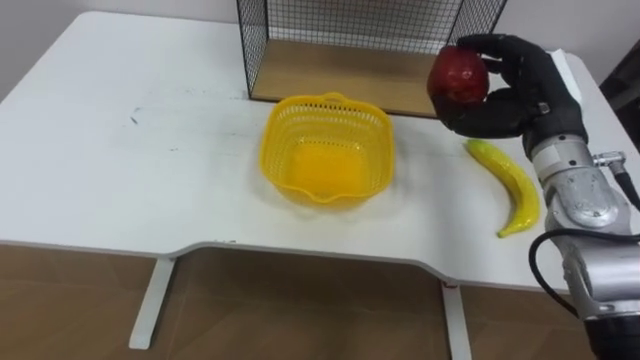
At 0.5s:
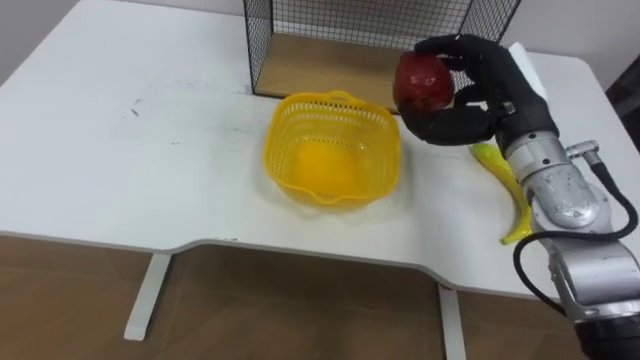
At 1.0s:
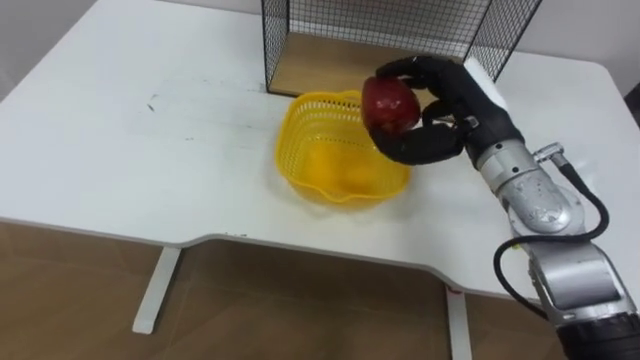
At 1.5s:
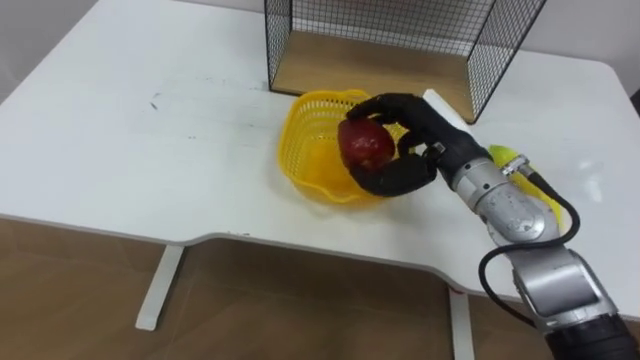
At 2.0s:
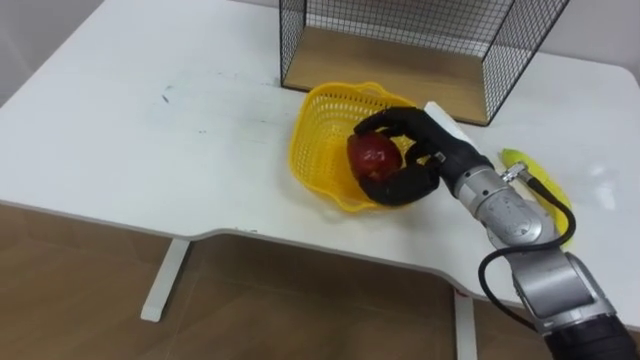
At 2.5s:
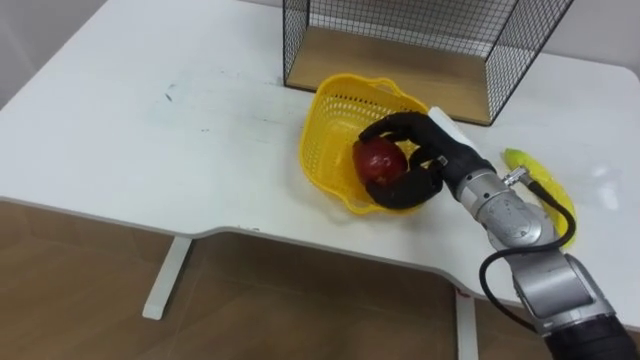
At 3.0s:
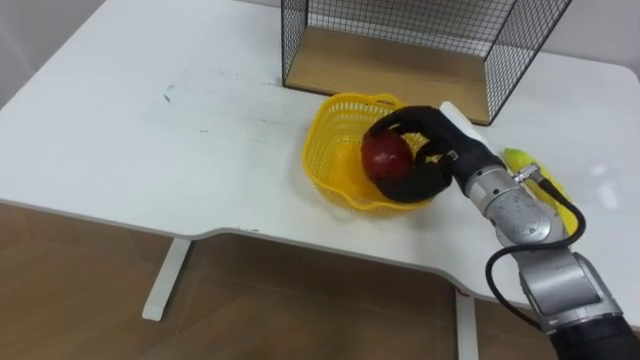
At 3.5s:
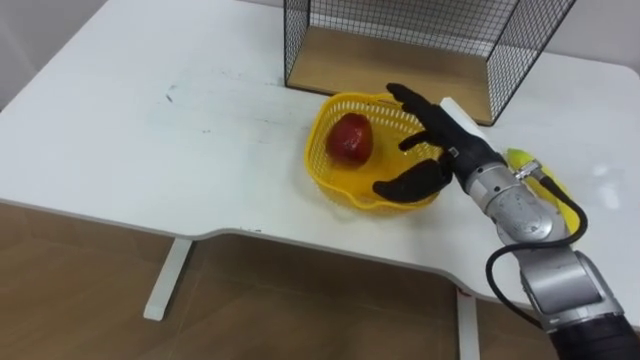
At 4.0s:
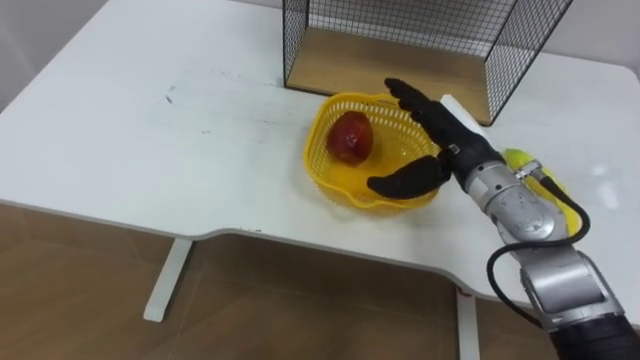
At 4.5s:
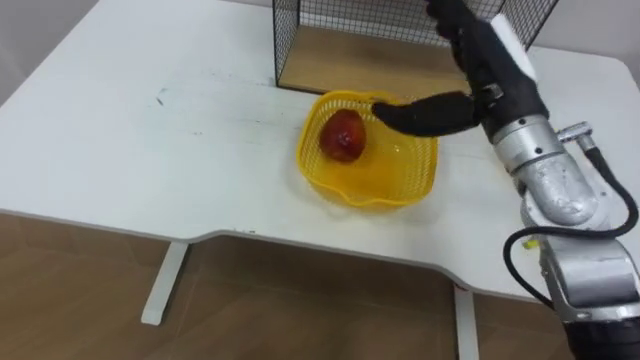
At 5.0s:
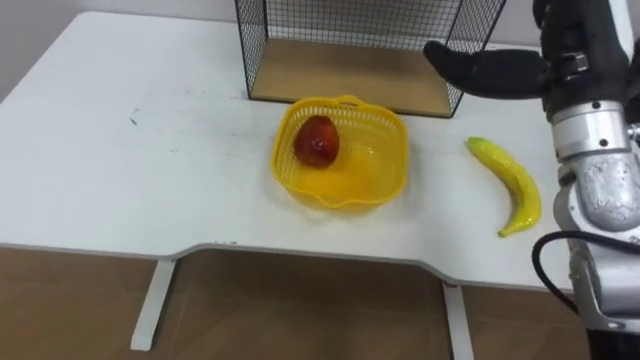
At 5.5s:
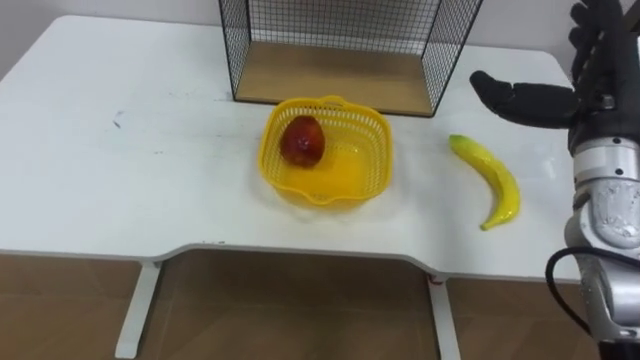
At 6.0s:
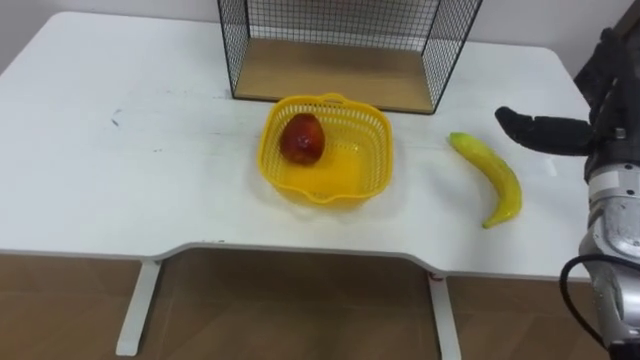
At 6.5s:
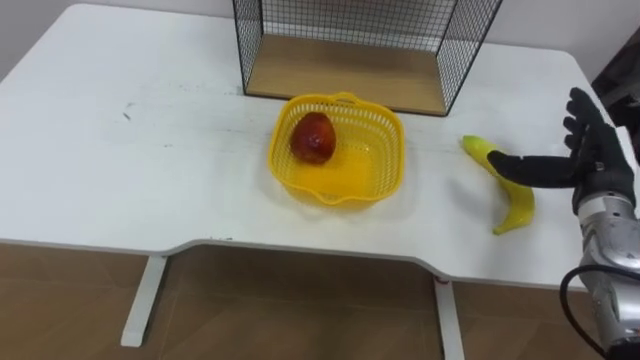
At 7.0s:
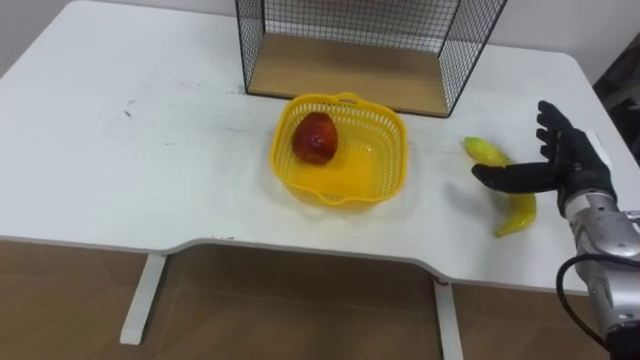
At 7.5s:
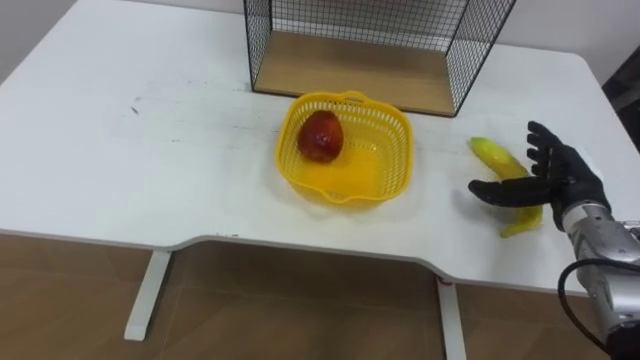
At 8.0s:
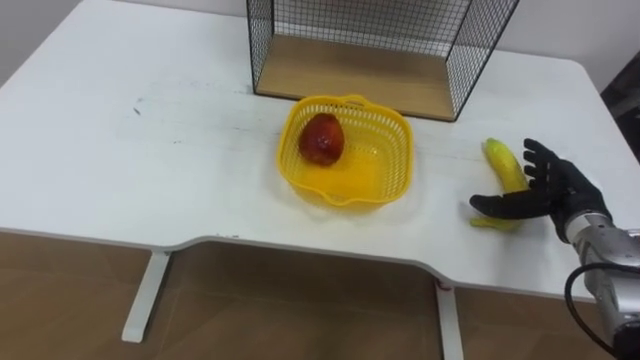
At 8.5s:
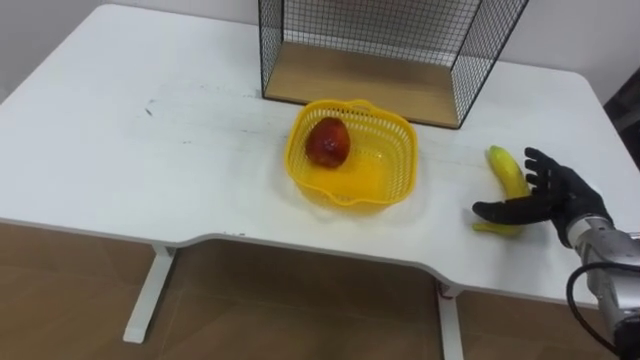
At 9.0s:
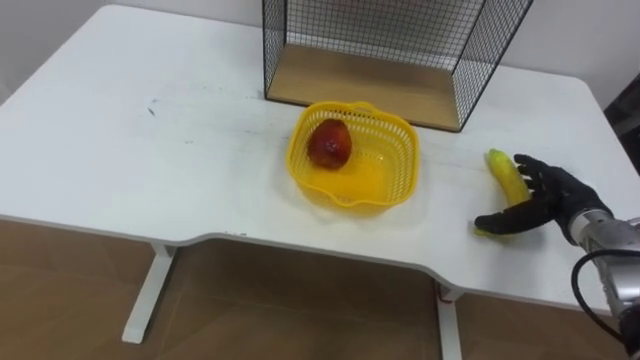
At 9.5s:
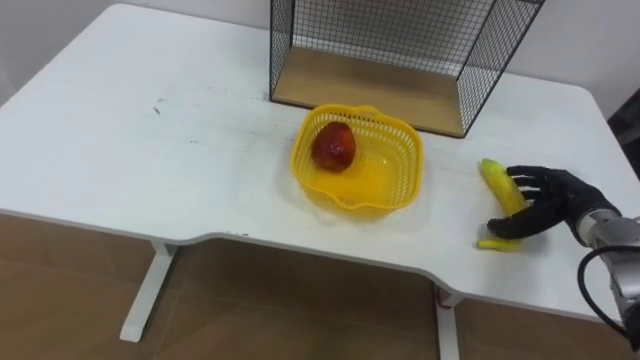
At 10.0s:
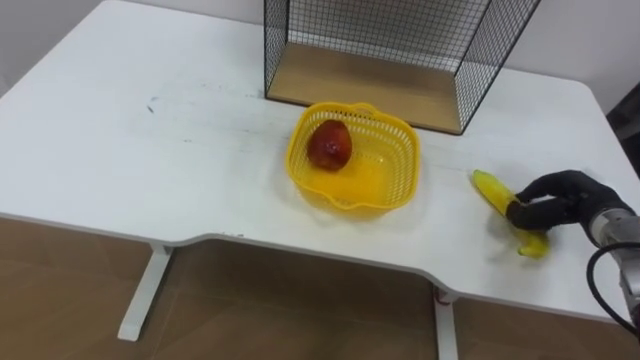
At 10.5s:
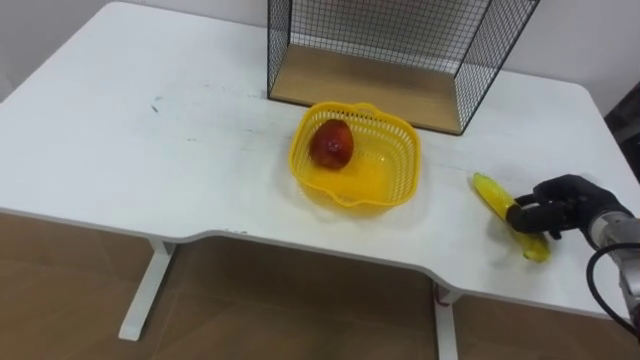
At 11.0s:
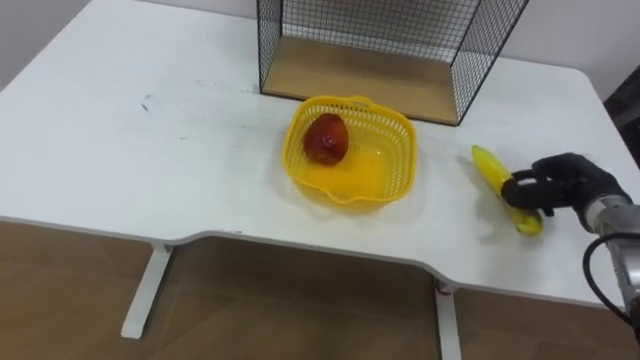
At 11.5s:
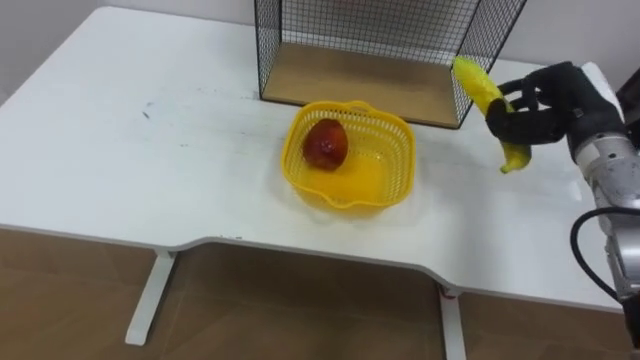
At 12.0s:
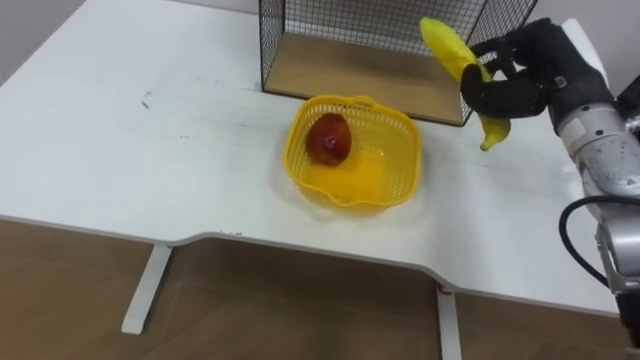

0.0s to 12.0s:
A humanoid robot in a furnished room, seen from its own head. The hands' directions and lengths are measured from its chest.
Task of the whole recording: Put the fruit on the table into the basket, then place the basket on the shelf.
0.0s to 2.0s: The right hand travels to the left and downward by some 10 cm.
2.0s to 4.0s: The right hand opens.
4.0s to 6.0s: The right hand is displaced to the right by roughly 15 cm.
6.0s to 8.0s: The right hand heads downward, covering roughly 10 cm.
8.0s to 10.0s: The right hand closes up.
10.0s to 12.0s: The right hand heads upward and to the left, covering some 20 cm.

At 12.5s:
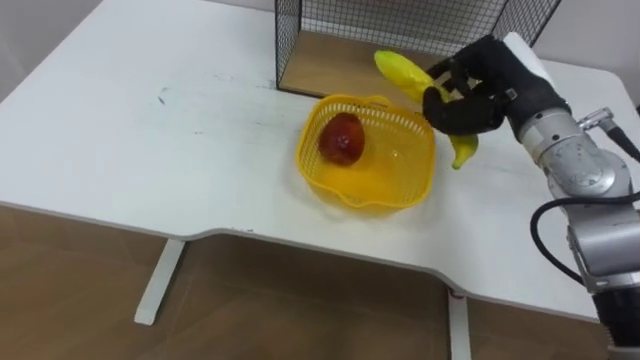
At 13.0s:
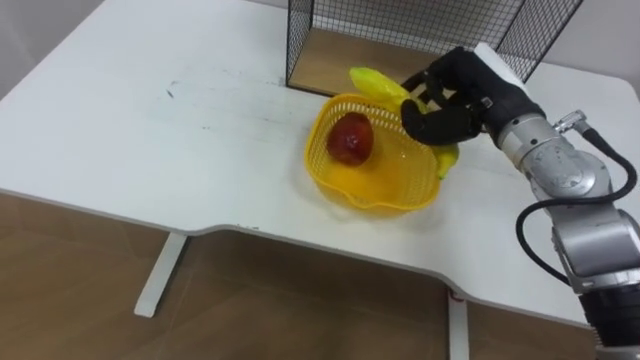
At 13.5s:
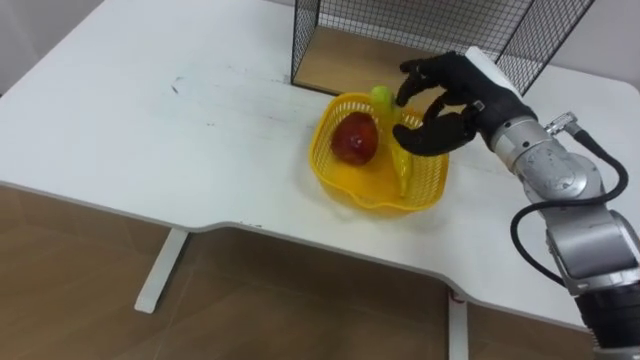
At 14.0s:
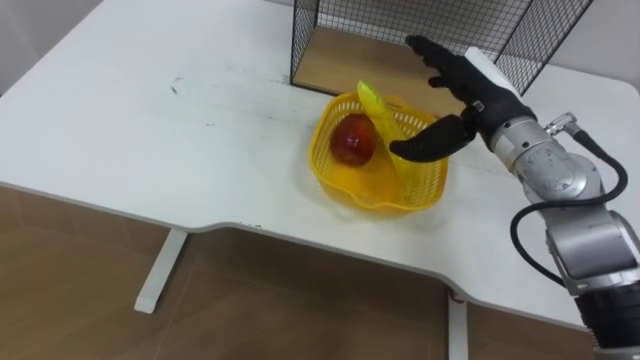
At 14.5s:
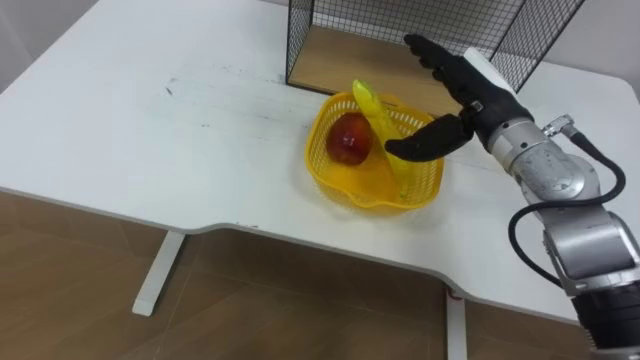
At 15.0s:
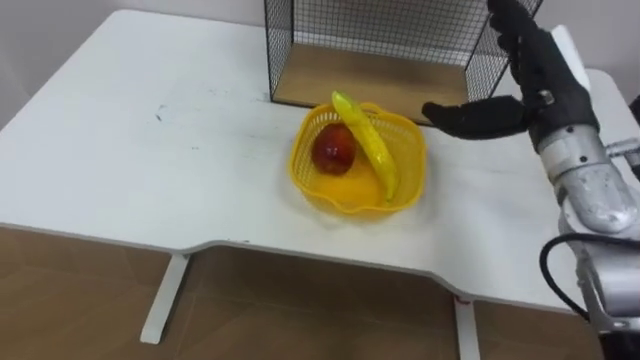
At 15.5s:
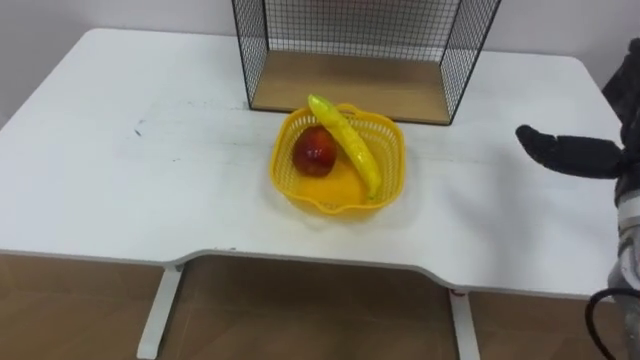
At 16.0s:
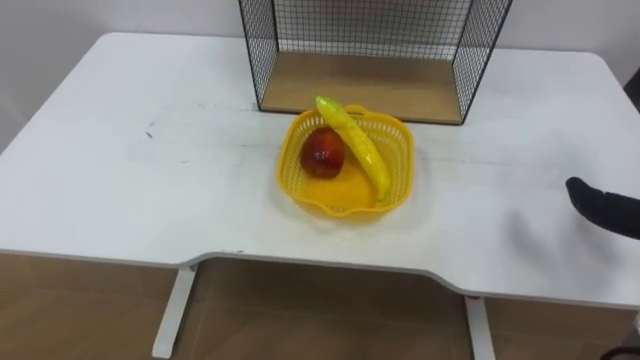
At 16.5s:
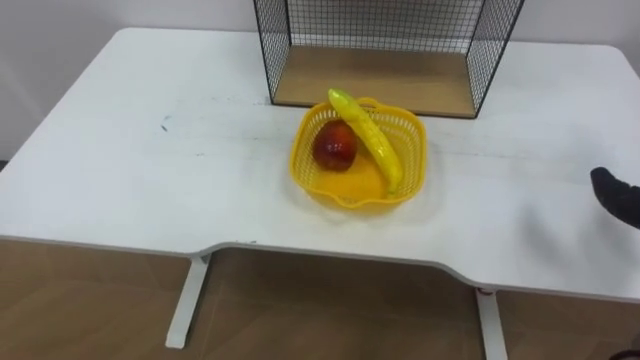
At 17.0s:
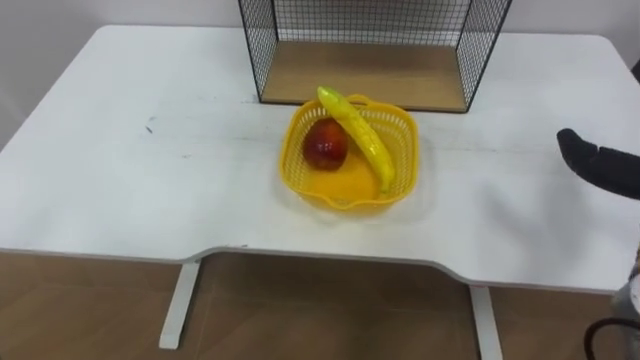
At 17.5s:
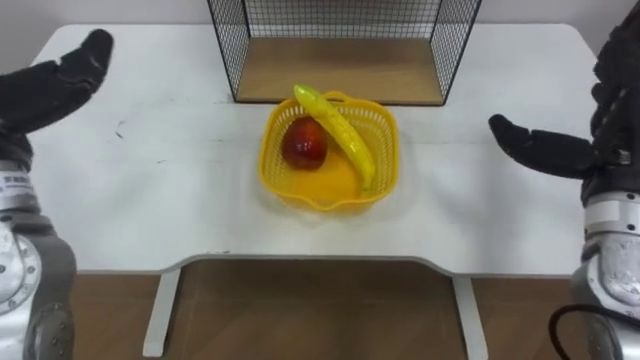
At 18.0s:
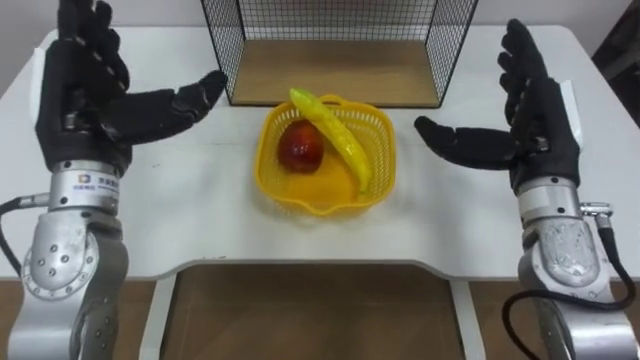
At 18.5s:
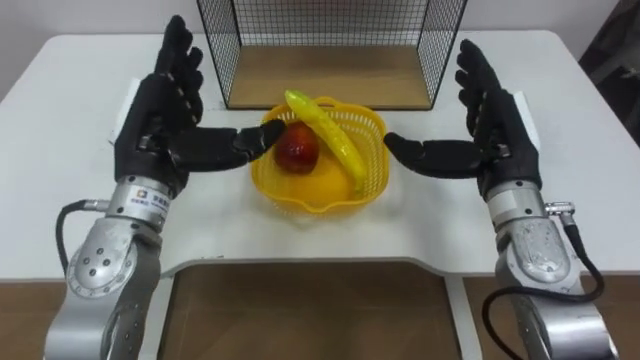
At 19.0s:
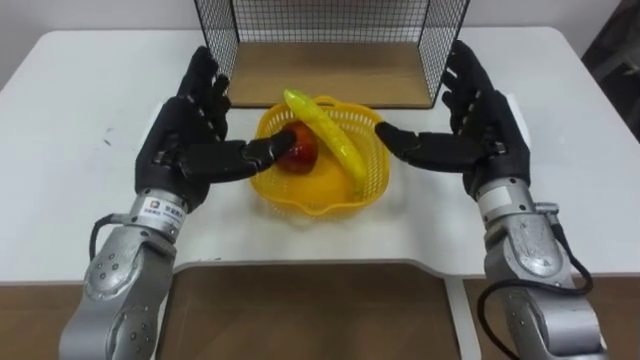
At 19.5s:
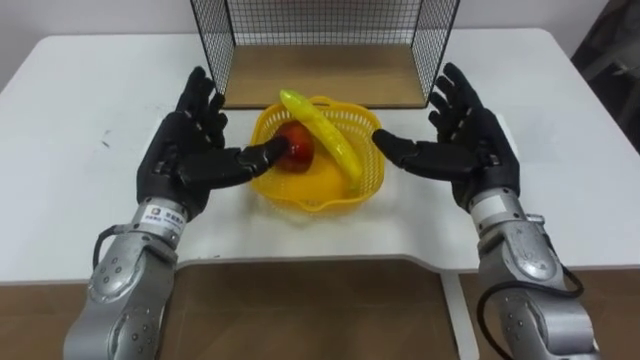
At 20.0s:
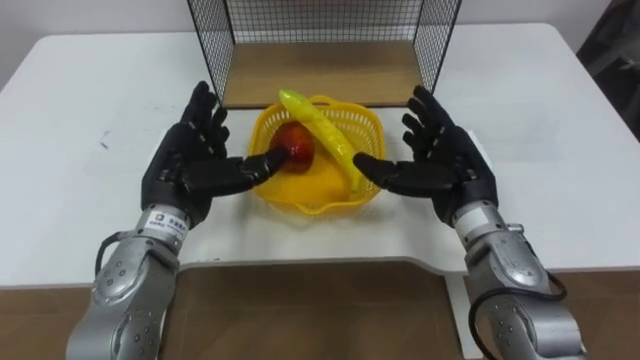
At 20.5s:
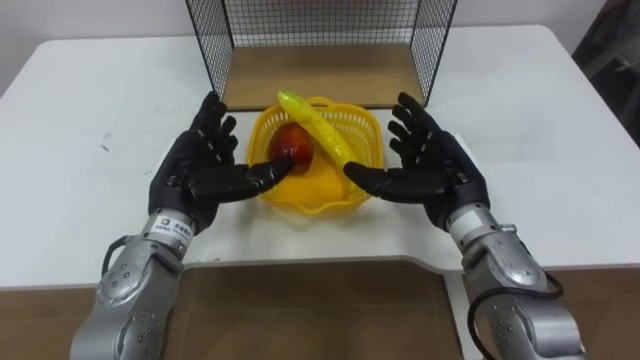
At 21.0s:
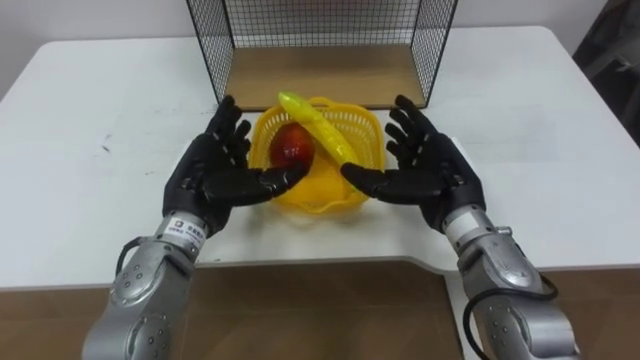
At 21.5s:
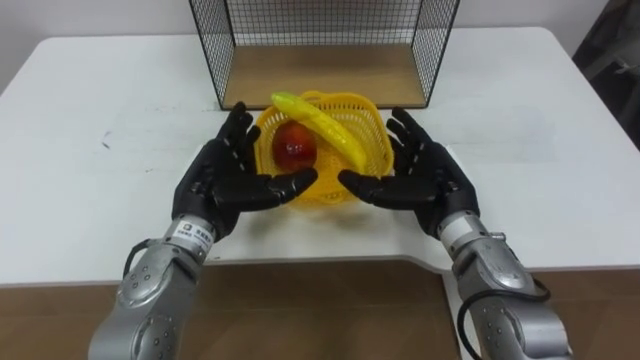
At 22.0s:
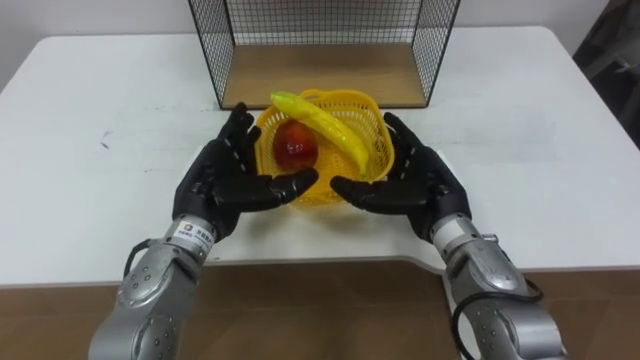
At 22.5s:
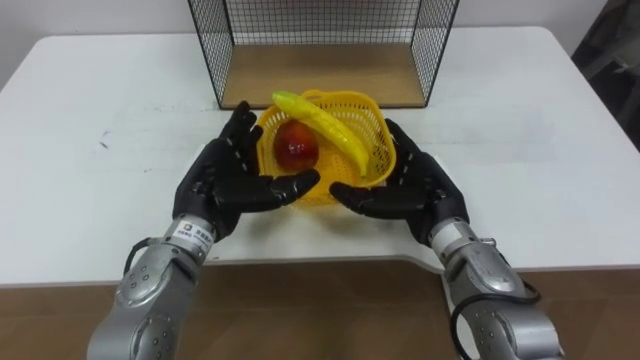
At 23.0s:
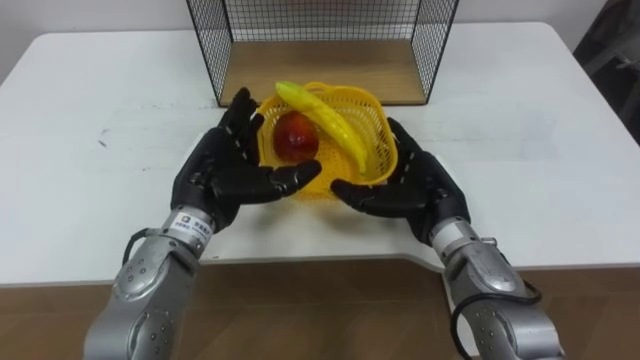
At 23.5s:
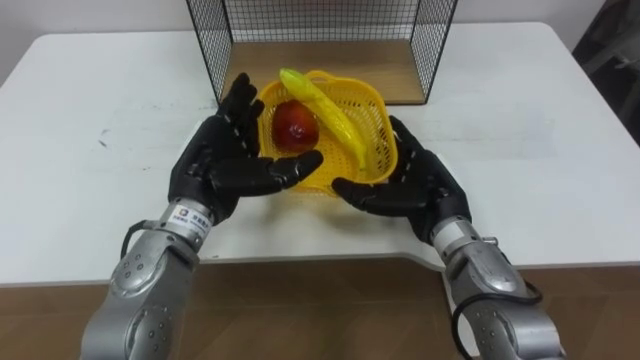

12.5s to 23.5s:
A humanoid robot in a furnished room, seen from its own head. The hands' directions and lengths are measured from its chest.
Task of the whole recording: Put the fruit on the table into the basket, then place the basket on the shelf.
12.5s to 14.5s: The right hand opens its fingers.
18.0s to 20.0s: The left hand shifts approximately 10 cm downward and to the right. Meanwhile the right hand shifts roughly 10 cm downward and to the left.
21.5s to 23.5s: There are only small adjustments of the hands.
